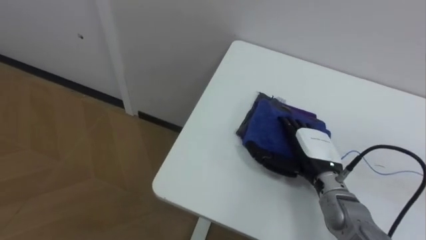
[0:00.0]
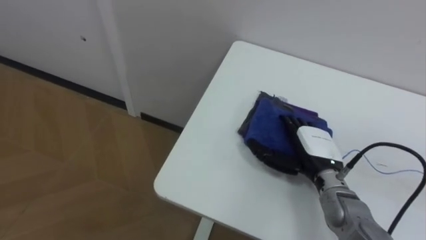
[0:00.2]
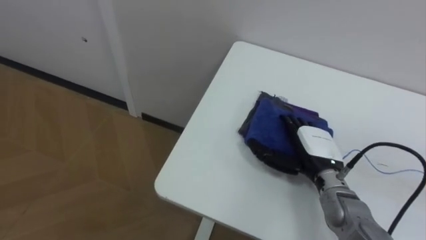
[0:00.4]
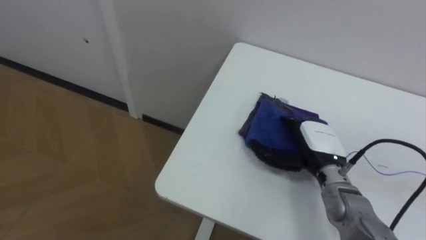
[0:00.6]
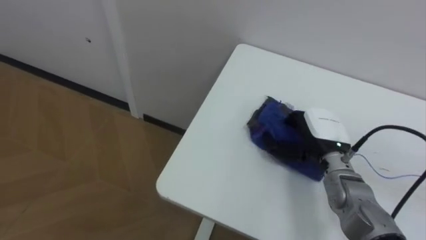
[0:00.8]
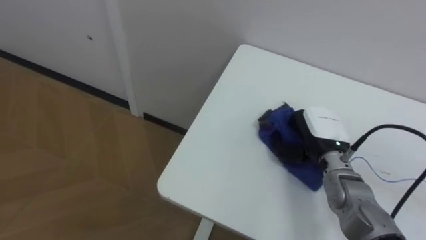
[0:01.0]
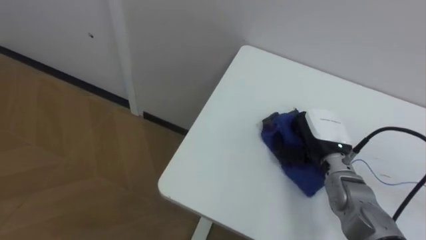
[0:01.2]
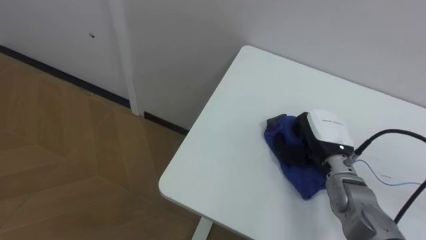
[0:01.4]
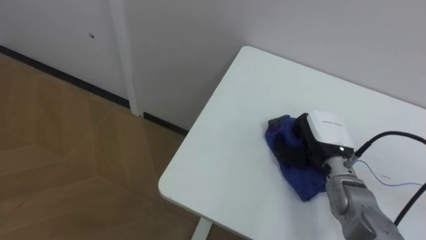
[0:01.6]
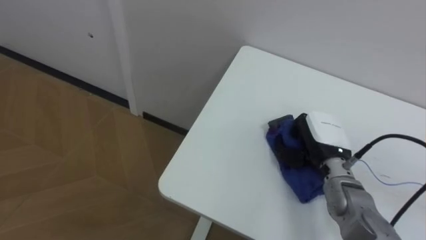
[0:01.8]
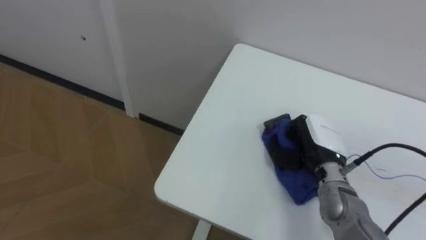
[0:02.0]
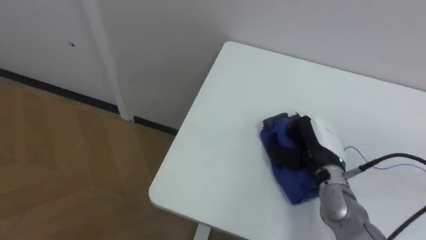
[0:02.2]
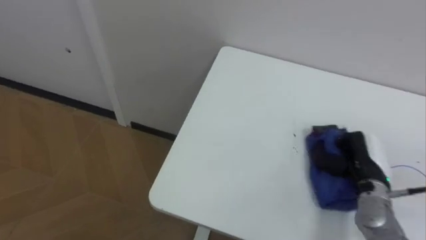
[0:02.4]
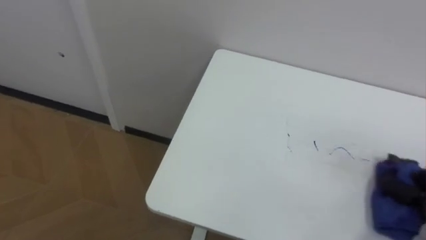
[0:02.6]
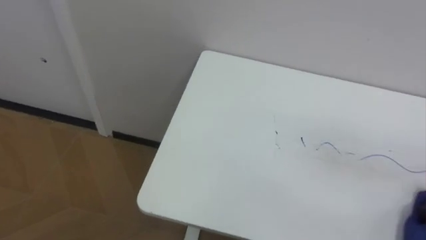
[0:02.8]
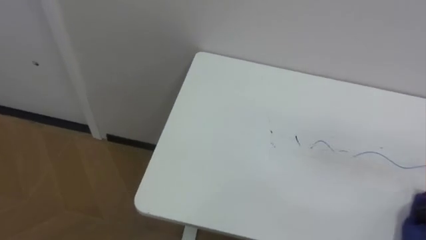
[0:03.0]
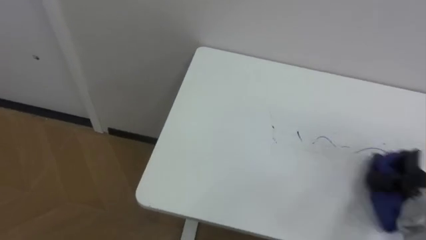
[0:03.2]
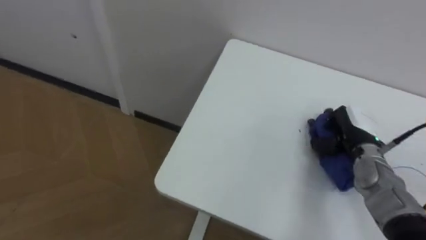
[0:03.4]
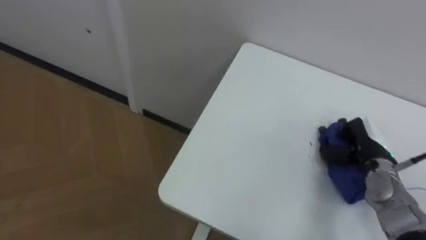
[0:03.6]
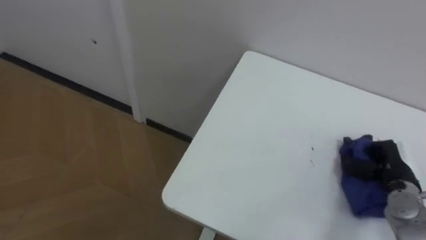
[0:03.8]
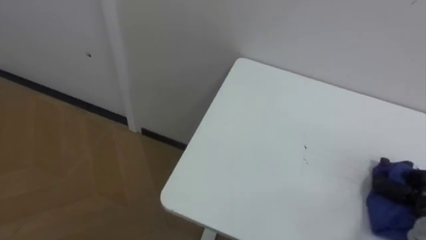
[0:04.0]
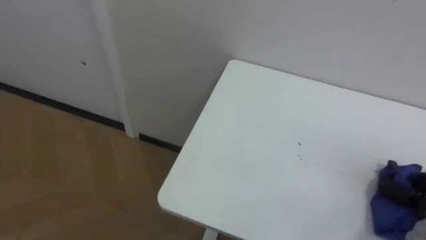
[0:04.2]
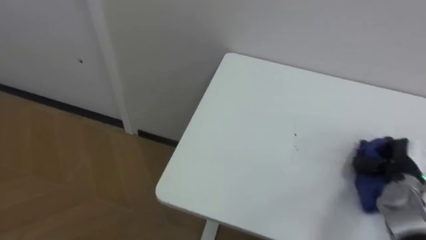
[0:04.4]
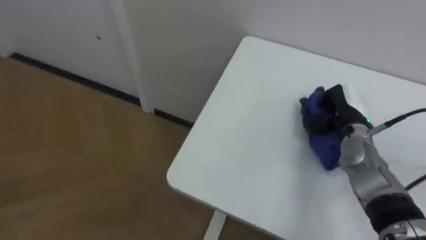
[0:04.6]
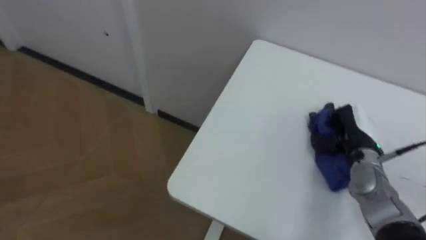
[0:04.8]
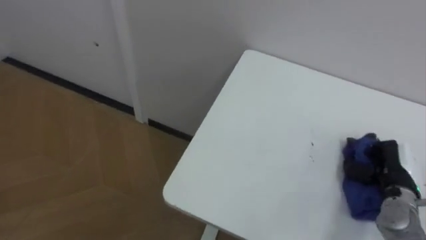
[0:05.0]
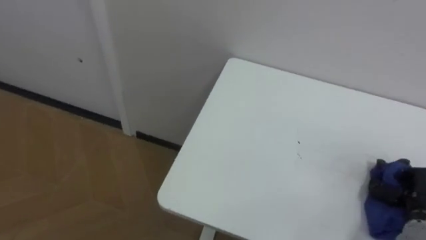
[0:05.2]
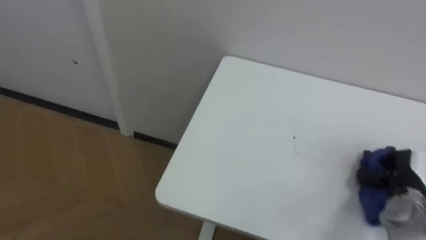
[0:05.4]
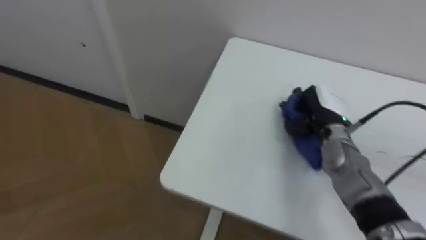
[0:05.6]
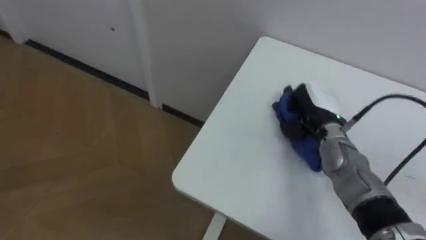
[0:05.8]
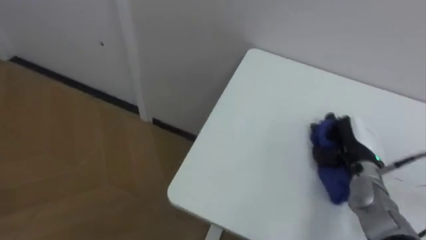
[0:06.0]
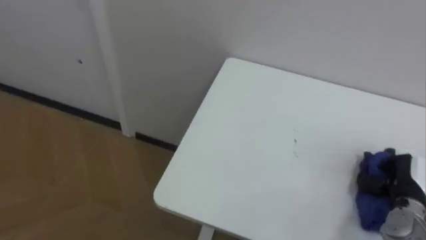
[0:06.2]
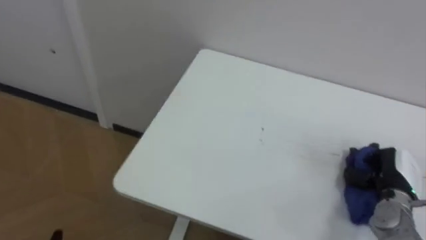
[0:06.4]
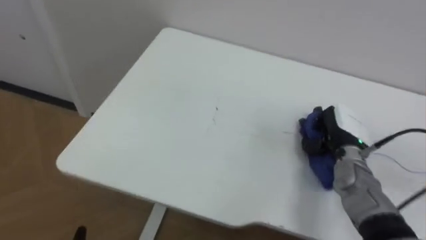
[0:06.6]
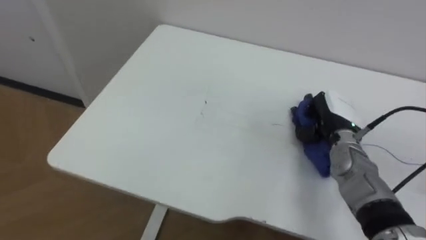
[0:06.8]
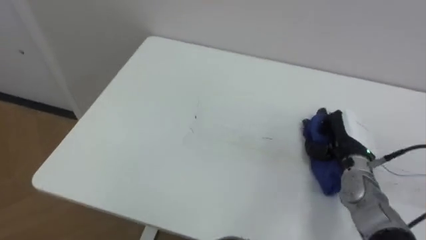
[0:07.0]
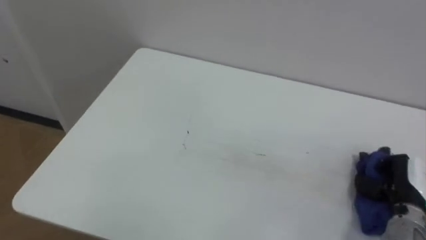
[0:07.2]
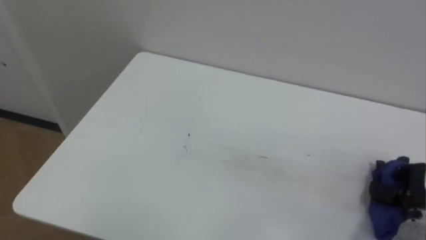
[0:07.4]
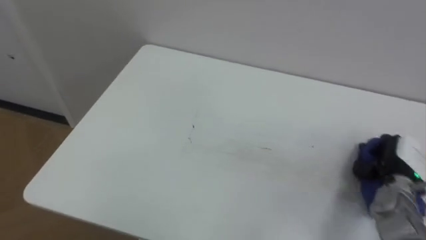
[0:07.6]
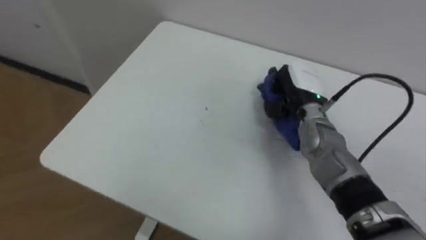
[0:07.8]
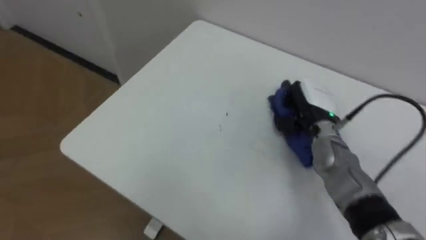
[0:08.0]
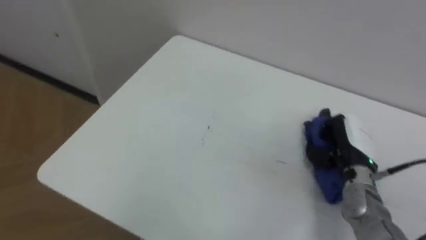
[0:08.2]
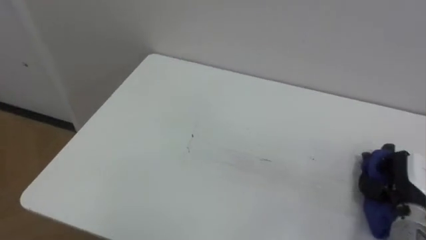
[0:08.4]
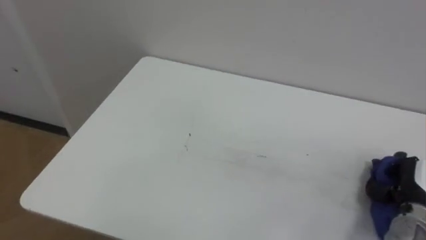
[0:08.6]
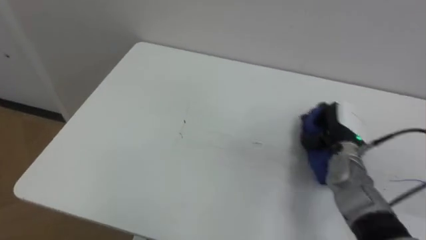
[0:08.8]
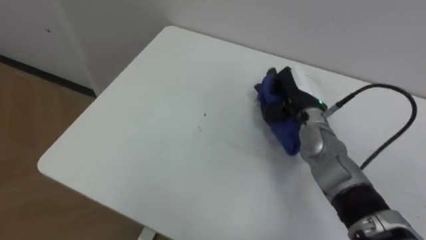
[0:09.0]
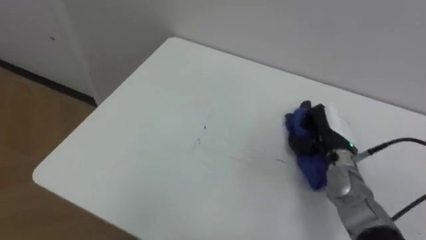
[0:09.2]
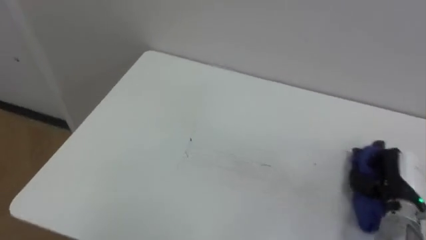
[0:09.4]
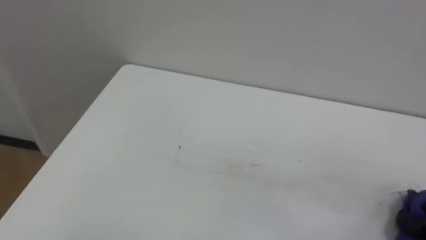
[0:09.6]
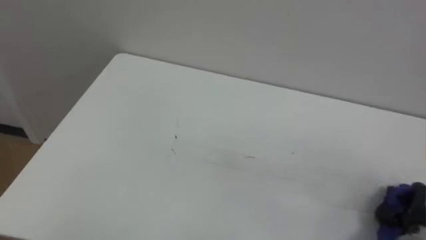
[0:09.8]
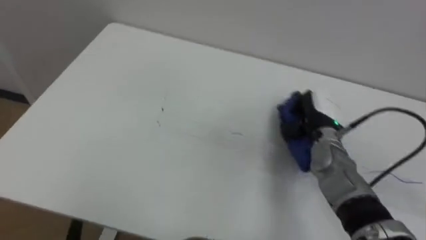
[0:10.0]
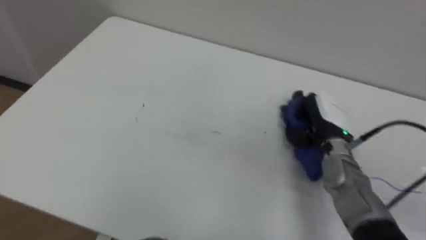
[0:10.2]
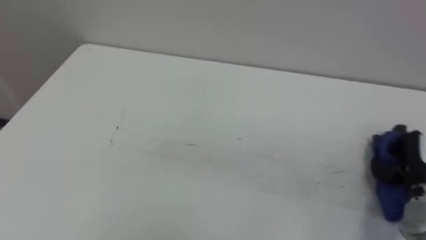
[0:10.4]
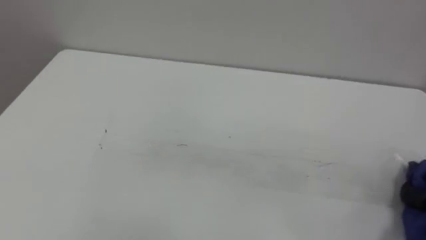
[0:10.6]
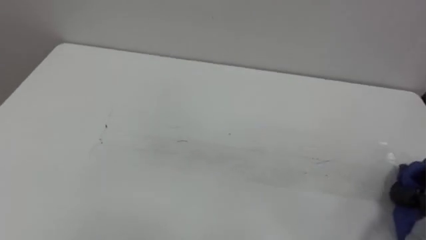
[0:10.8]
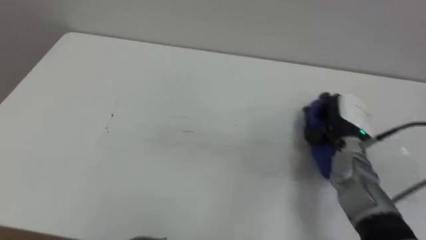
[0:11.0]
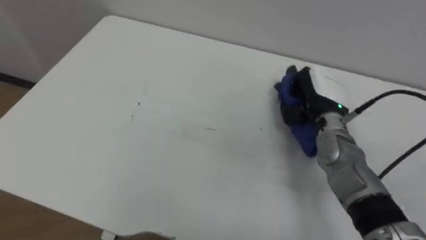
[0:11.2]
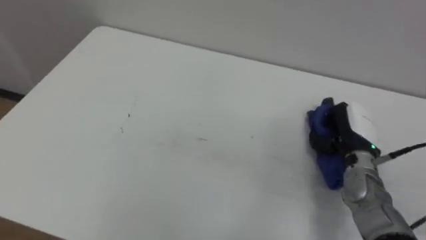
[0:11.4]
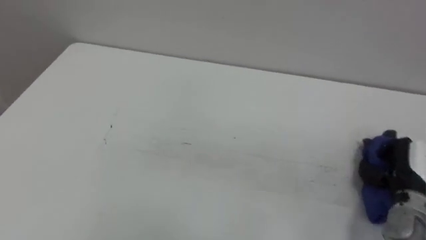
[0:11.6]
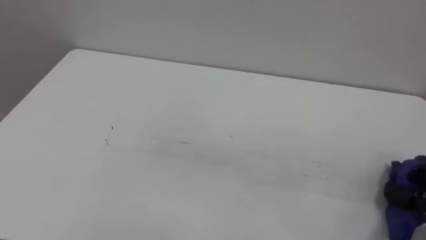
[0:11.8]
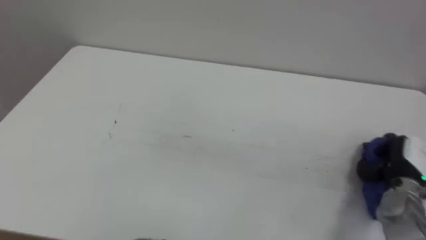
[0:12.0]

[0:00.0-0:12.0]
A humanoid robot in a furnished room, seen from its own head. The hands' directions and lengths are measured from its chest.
Task of the whole recording: Wipe the blue pen marks off the table with the rag.
0:00.0 to 0:01.6: The right hand closes up.
0:04.4 to 0:06.0: The right hand goes left and right, approximately 20 cm each way, reversing 3 times.
0:06.0 to 0:07.6: The right hand goes forward and backward, some 15 cm each way, reversing 3 times.
0:07.6 to 0:09.0: The right hand goes left and right, about 20 cm each way, reversing 2 times.

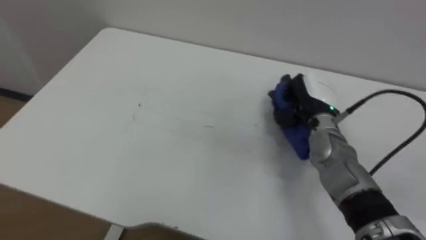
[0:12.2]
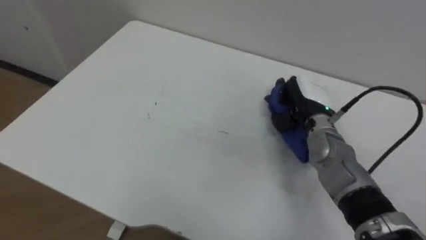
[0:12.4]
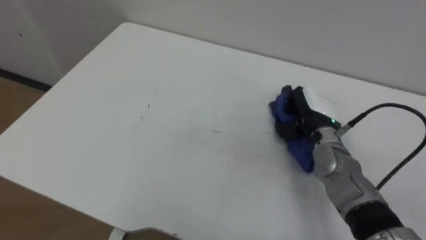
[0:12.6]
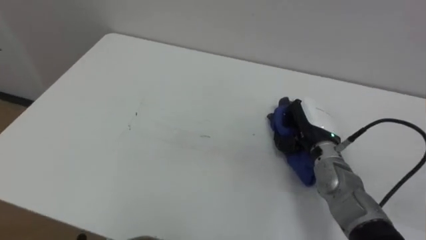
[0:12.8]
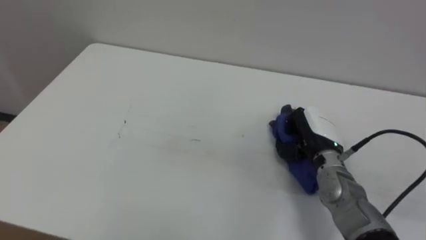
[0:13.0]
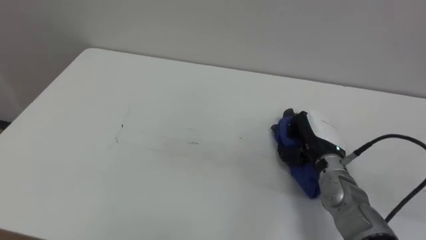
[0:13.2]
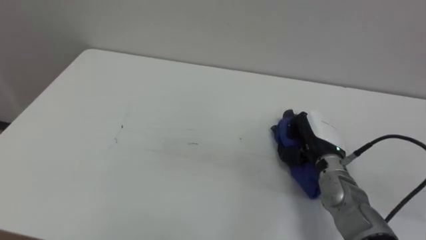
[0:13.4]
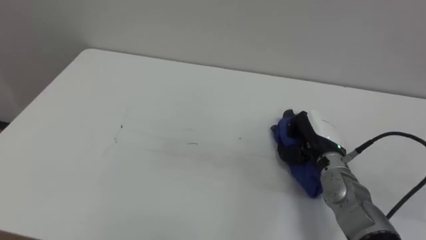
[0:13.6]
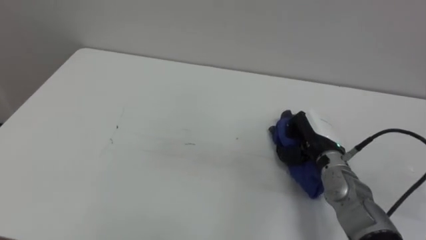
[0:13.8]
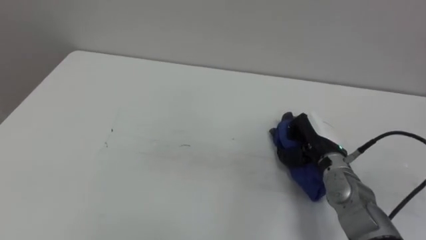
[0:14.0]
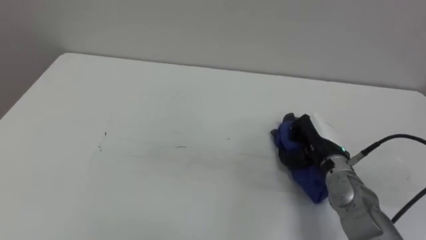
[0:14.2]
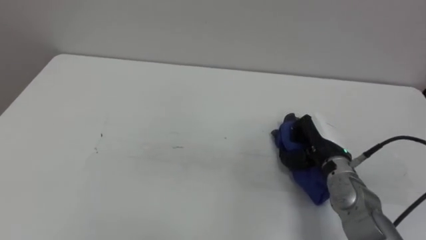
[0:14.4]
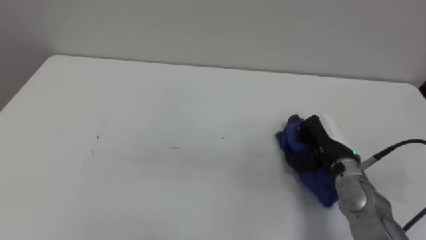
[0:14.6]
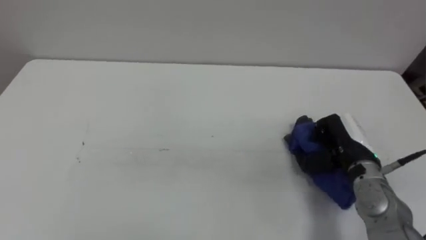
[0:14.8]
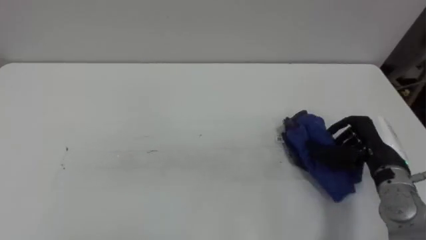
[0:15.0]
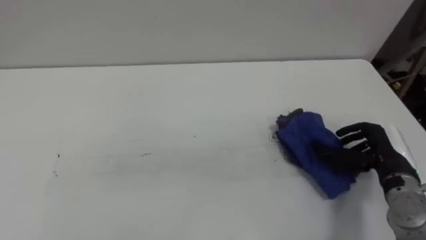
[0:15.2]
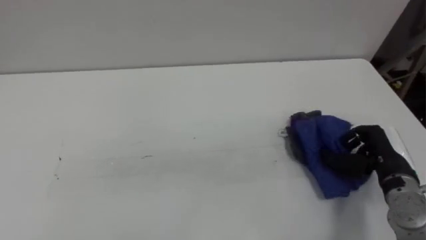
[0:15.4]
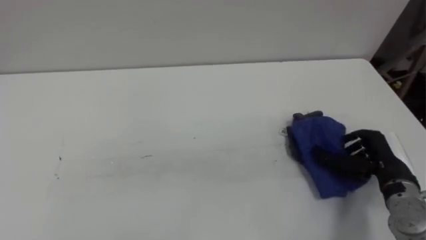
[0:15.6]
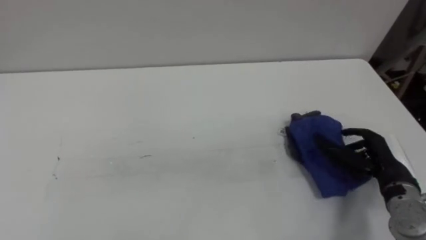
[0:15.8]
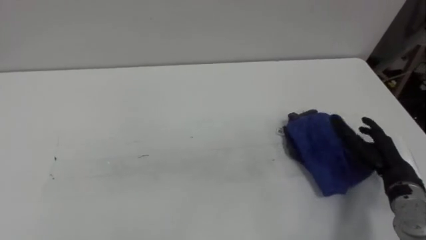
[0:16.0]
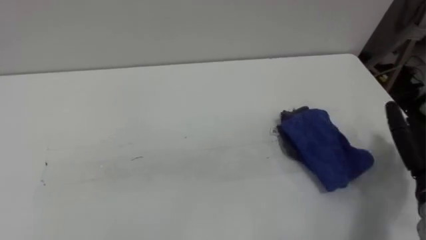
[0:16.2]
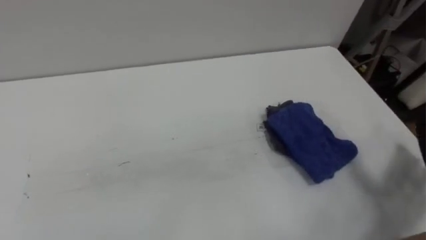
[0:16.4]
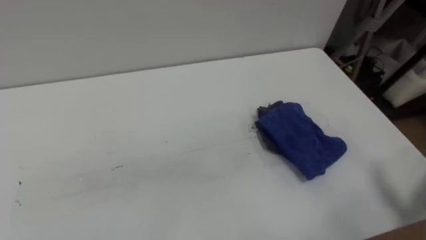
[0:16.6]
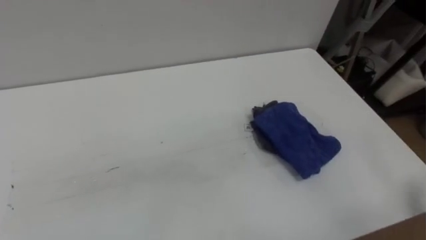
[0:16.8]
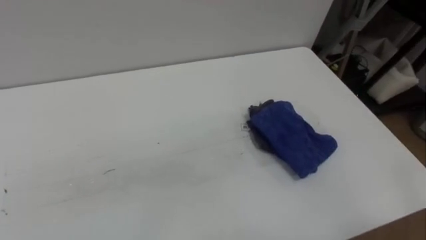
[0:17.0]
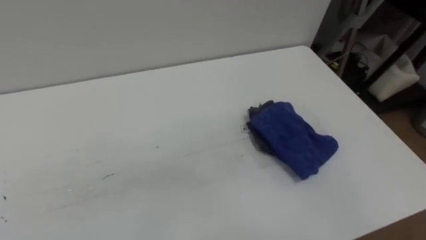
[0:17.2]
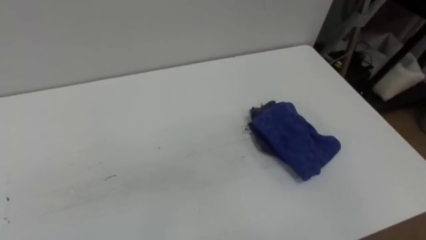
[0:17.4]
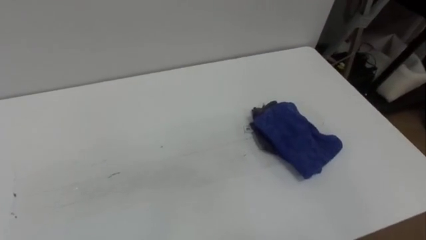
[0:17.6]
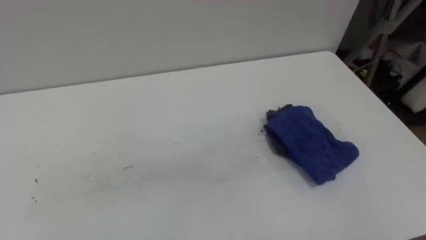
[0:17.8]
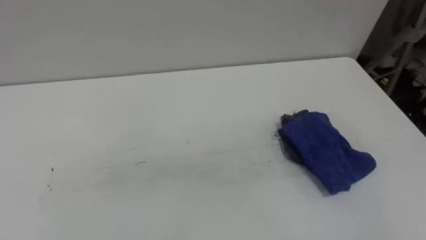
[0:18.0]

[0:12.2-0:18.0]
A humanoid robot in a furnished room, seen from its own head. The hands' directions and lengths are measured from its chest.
Task of the whole recording: Wipe the blue pen marks off the table with the rag.
0:12.2 to 0:13.6: The right hand travels downward and backward by about 10 cm.
0:13.6 to 0:15.0: The right hand is displaced to the right by approximately 10 cm, and opens.
